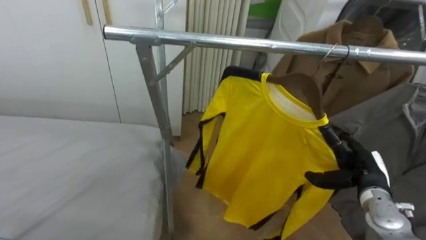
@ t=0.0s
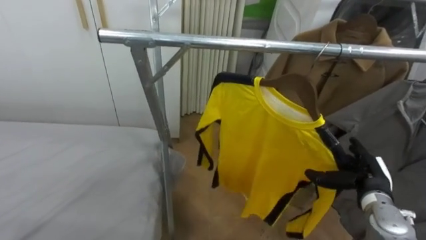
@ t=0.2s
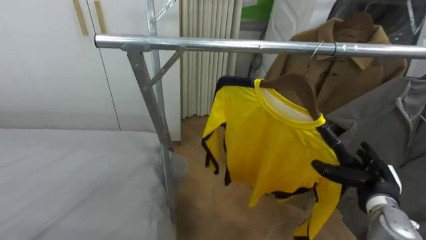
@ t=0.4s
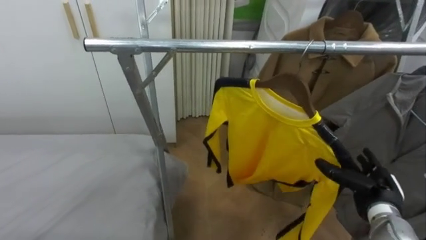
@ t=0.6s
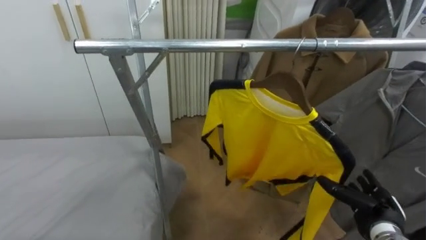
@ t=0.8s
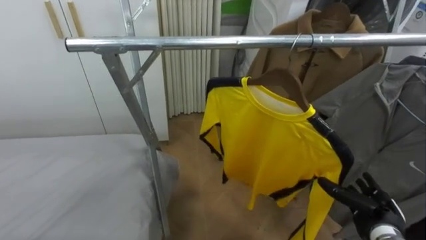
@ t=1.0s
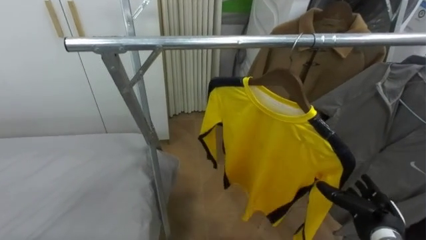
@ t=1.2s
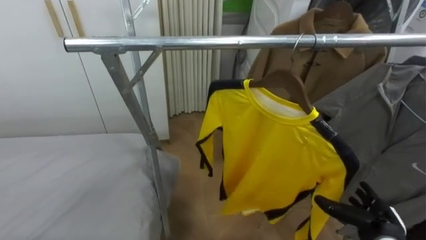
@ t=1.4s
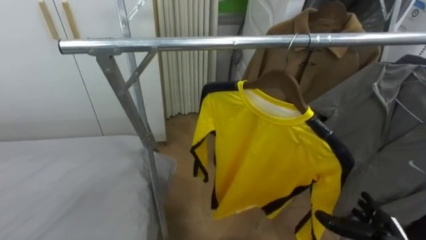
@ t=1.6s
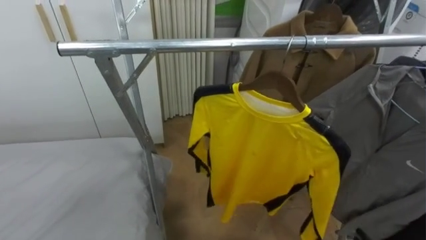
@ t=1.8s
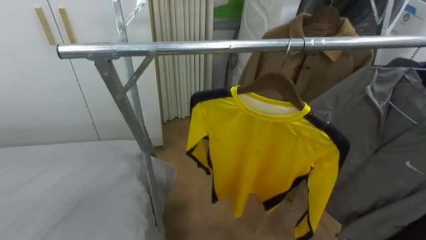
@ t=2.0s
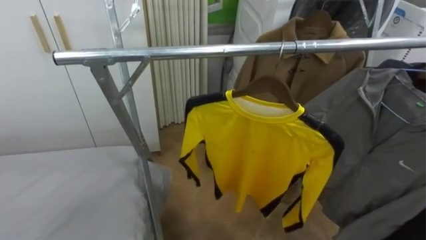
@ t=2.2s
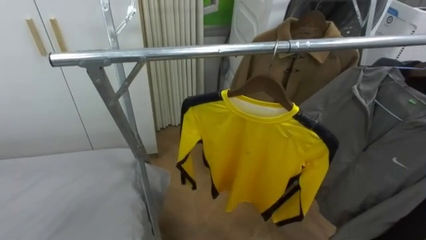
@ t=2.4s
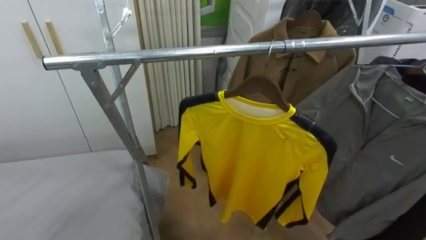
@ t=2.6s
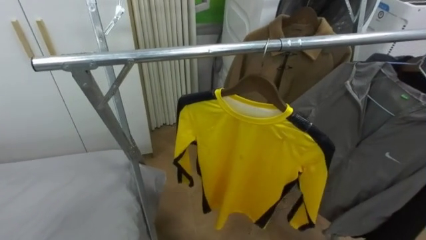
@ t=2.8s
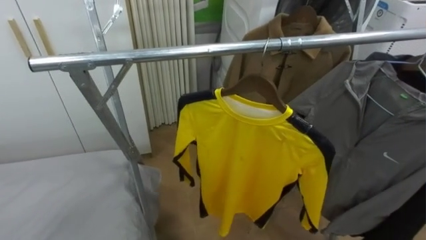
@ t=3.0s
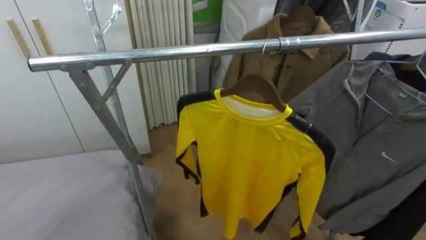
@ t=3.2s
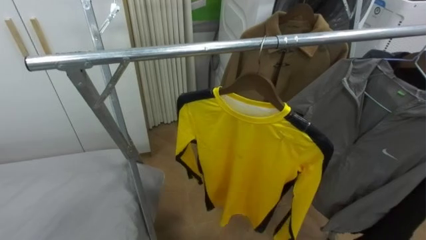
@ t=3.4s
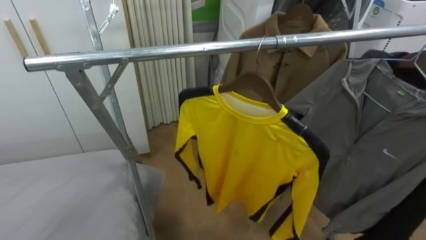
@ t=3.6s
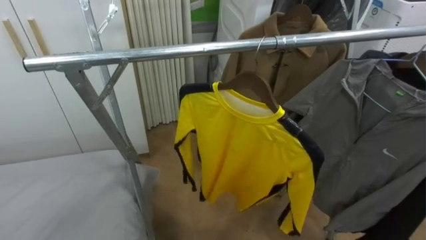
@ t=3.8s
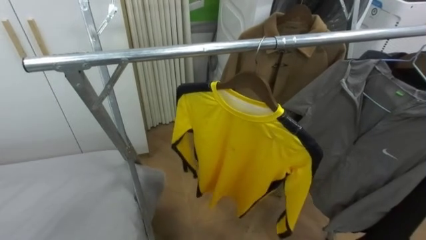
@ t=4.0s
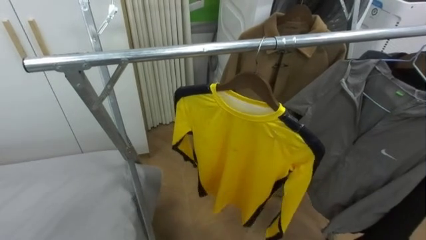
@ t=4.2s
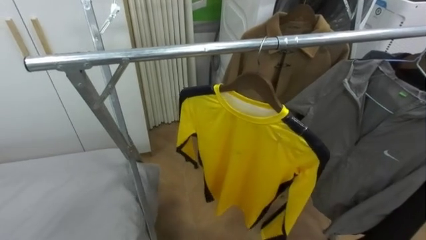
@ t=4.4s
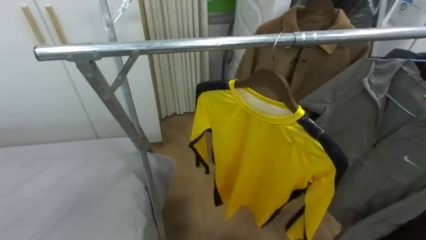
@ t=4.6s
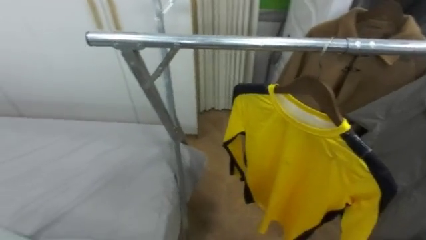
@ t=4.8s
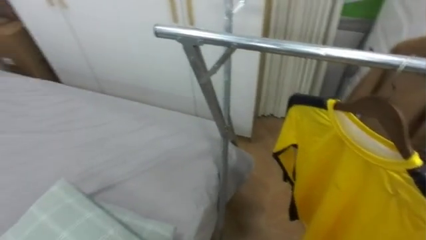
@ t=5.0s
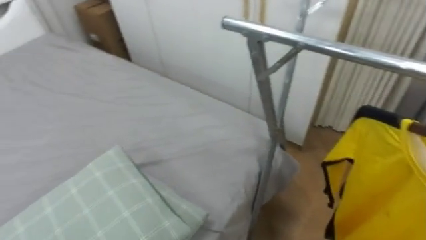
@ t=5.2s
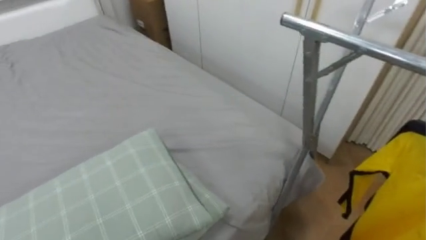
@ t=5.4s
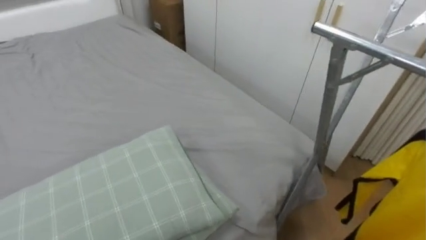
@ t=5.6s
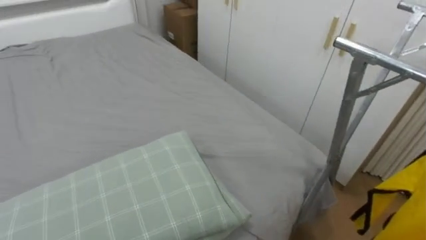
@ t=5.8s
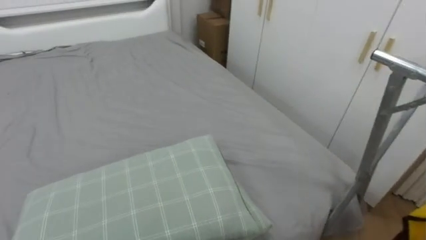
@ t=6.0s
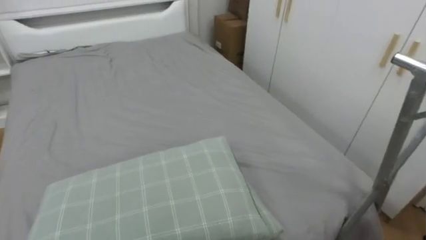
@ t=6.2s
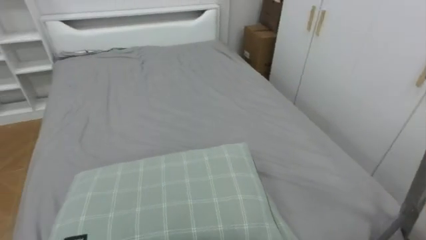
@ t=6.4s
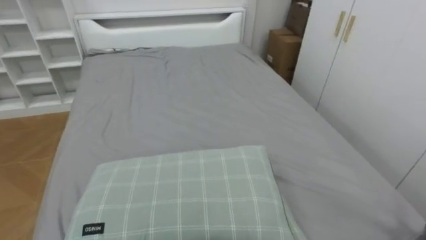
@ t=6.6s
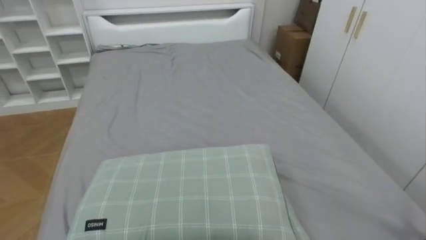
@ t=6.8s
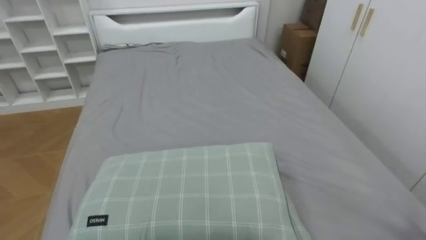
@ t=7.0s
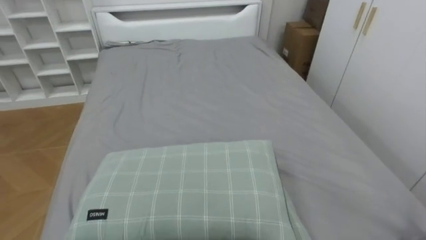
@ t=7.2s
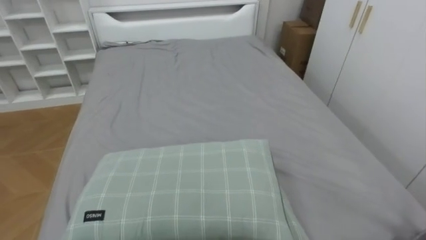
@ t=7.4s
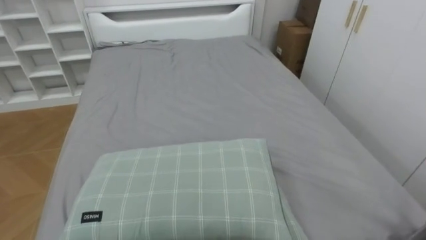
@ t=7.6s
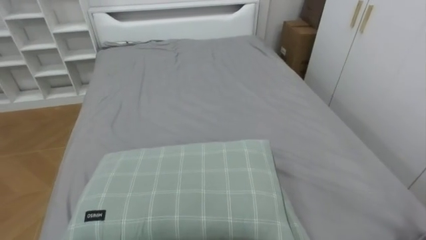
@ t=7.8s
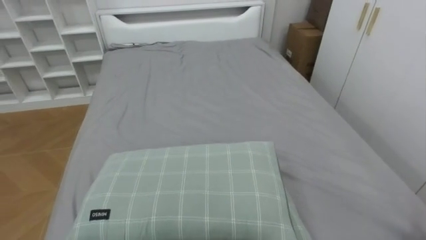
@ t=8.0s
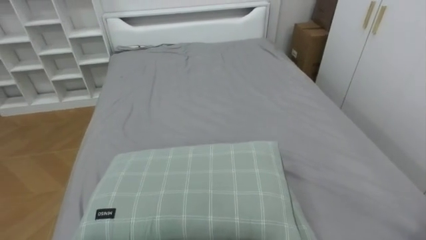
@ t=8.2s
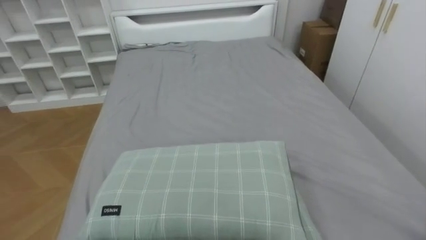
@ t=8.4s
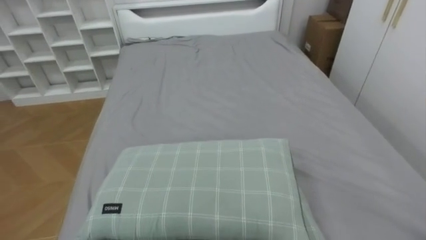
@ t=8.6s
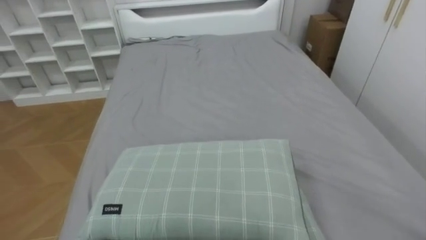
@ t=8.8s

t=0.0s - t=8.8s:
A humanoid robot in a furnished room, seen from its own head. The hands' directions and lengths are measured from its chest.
Task of the whole recording: Pick up the yellow shirt on the bed and hang it on the clothes rack on the right.
t=0.0s - t=1.4s: The right hand moves backward and downward, roughly 10 cm.
t=4.4s - t=5.8s: The robot turns to its left by roughly 65 degrees.
t=5.8s - t=7.4s: The robot rotates roughly 25 degrees to its left.

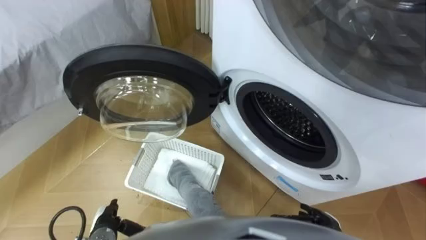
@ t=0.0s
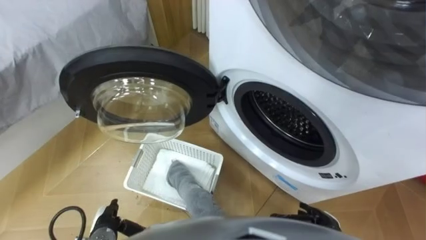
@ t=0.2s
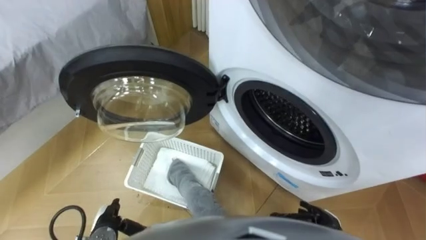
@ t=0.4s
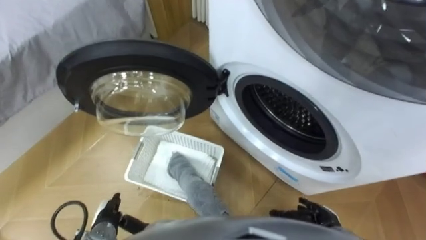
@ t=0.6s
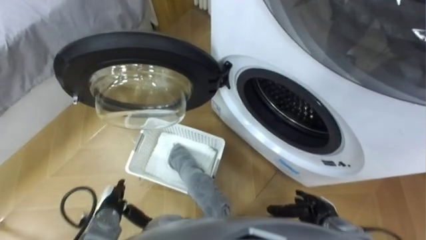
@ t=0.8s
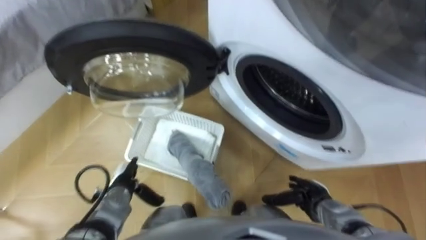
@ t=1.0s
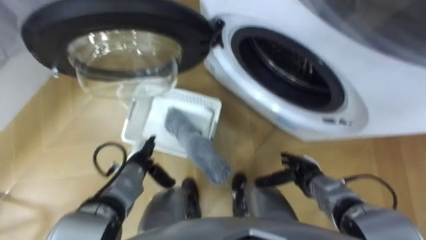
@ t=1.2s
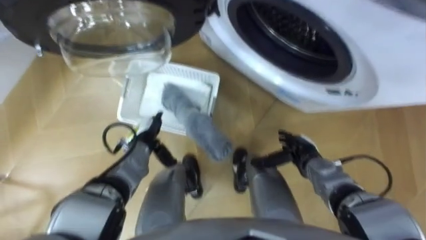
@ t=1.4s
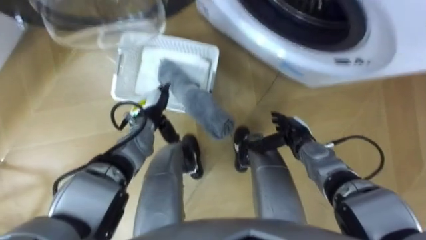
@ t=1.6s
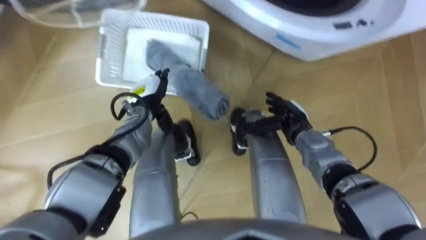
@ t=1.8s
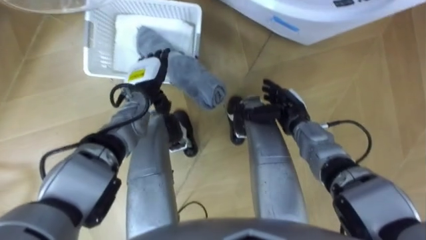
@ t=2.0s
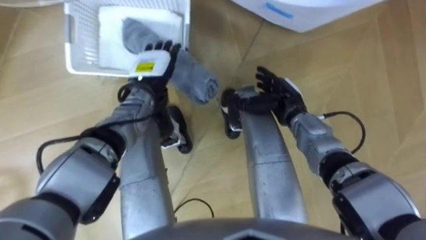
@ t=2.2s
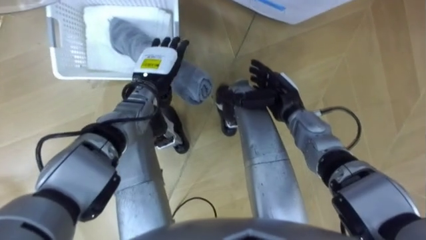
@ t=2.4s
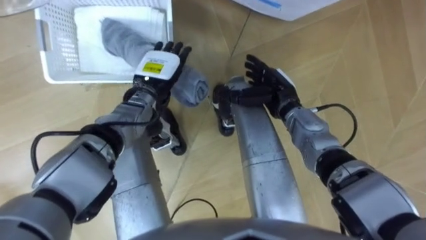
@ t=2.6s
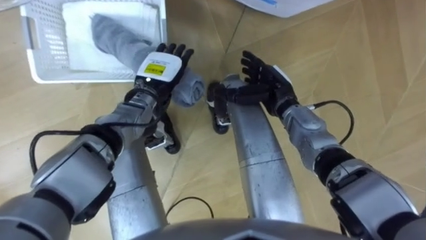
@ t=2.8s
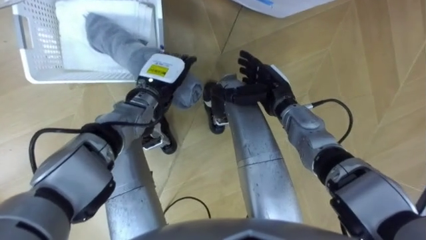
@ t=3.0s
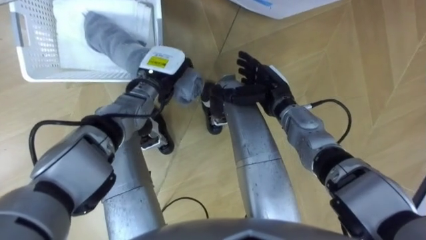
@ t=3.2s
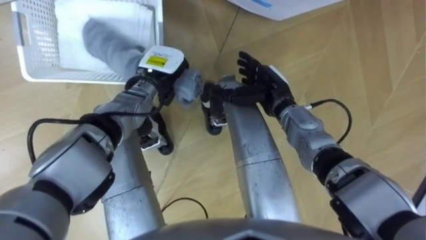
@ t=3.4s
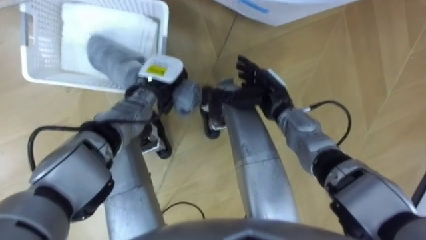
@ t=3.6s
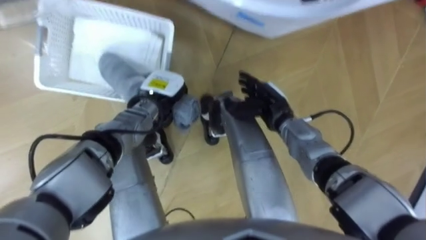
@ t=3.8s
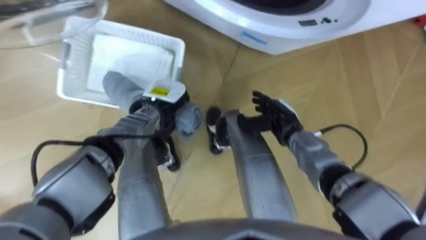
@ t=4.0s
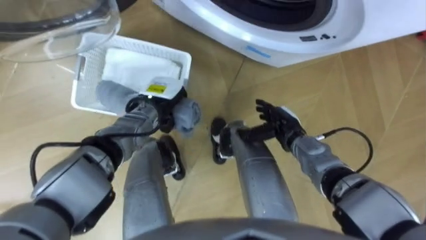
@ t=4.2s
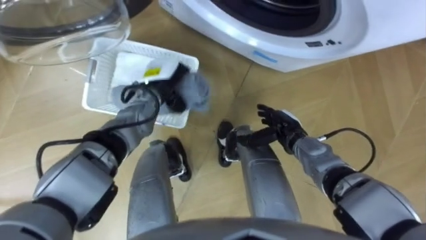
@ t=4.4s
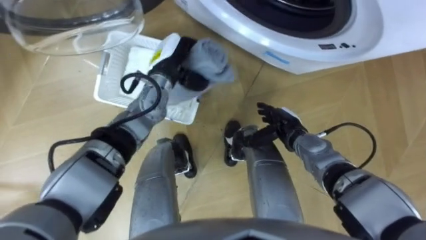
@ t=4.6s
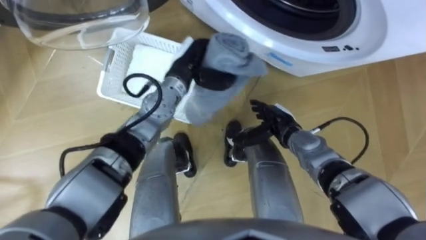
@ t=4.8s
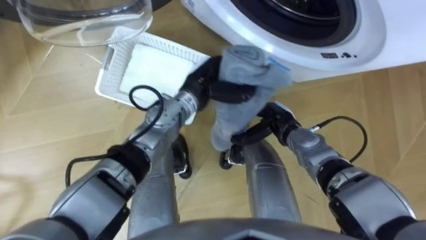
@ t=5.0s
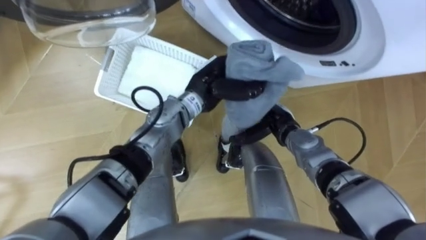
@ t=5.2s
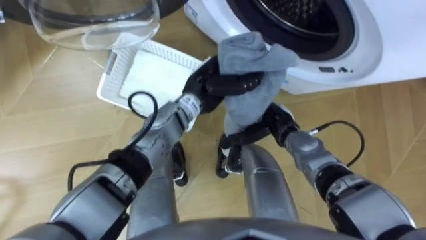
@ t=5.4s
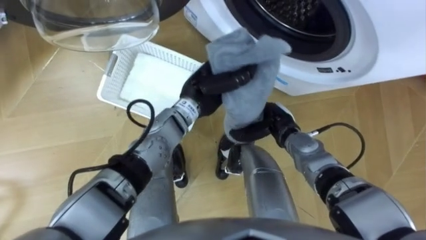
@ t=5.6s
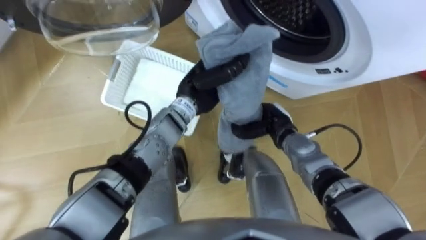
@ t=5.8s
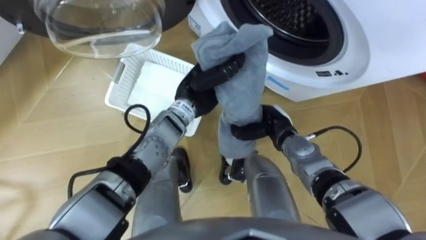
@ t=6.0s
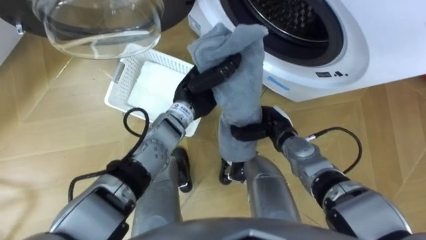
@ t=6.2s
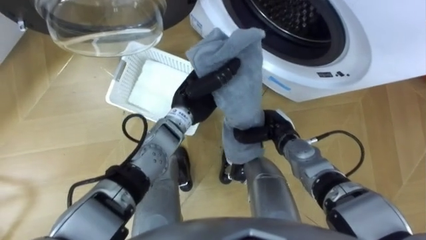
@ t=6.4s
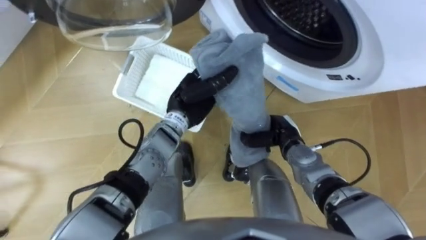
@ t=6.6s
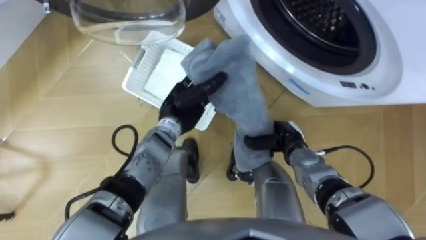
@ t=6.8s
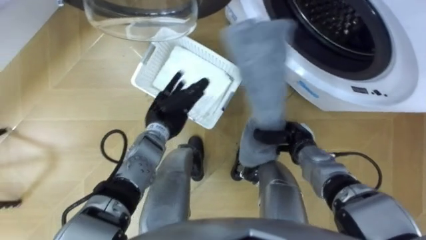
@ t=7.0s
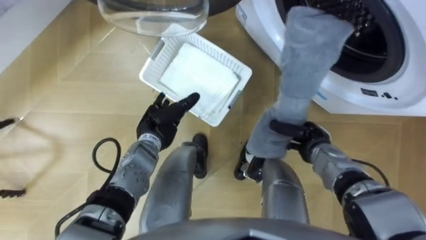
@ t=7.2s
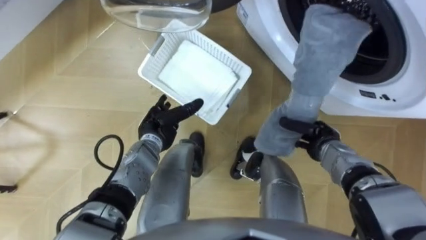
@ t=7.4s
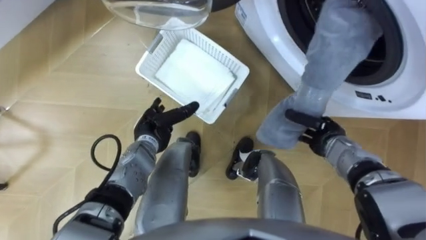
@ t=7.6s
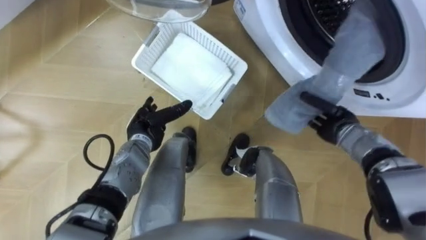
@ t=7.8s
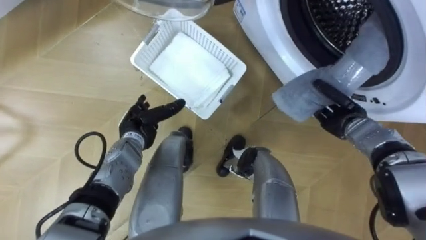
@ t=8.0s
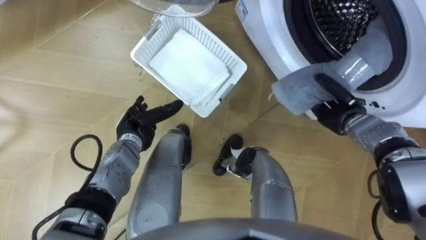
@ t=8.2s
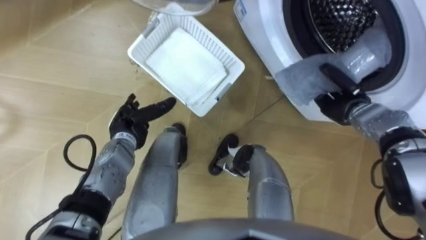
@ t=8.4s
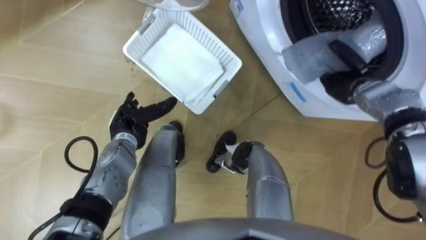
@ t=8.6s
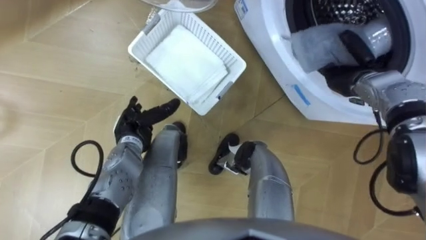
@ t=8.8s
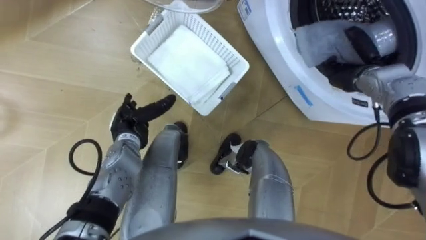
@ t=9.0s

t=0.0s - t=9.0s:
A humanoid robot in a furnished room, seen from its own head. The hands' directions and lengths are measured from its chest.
Task of the whole recording: Take the towel from the basket and put it into the washing machine.
t=1.6s - t=3.0s: The left hand is displaced upward by approximately 5 cm; the right hand heads upward, forward and to the left, covering about 15 cm.
t=3.0s - t=4.4s: The left hand closes. The right hand goes approximately 10 cm downward and backward.
t=4.4s - t=6.0s: The right hand closes, while the left hand goes roughly 10 cm to the right.
t=6.0s - t=7.6s: The left hand is displaced to the left, downward and backward by some 15 cm, and opens. Meanwhile the right hand goes approximately 10 cm to the right.
t=7.6s - t=9.0s: The right hand is displaced upward and forward by approximately 15 cm; the left hand moves some 5 cm.
